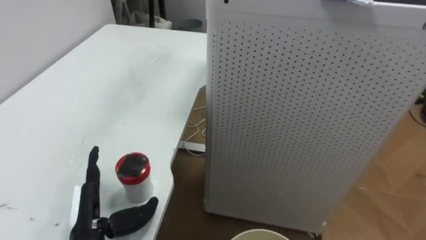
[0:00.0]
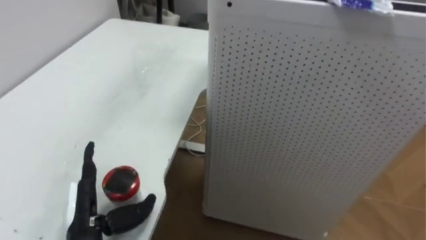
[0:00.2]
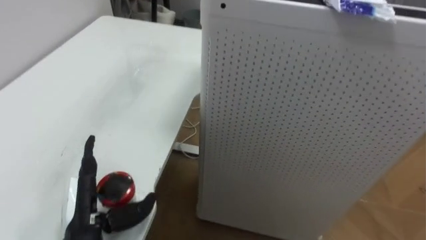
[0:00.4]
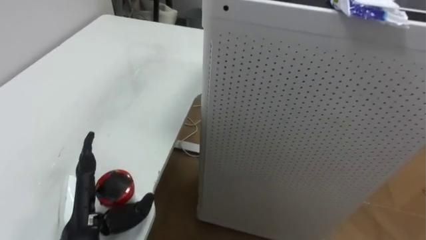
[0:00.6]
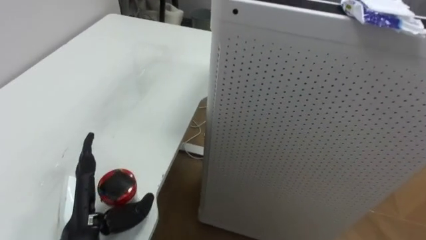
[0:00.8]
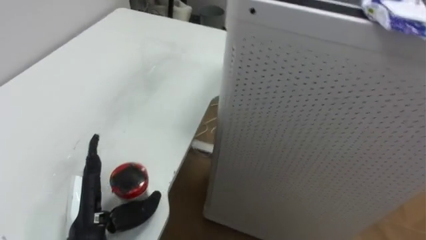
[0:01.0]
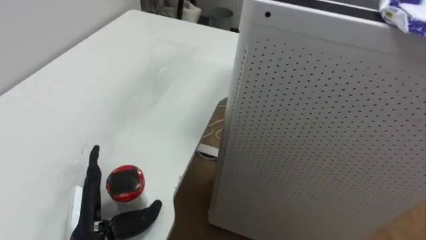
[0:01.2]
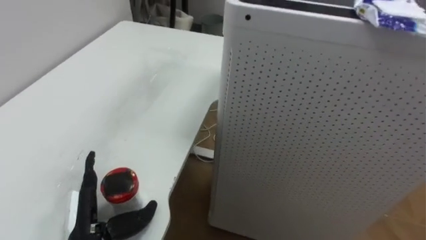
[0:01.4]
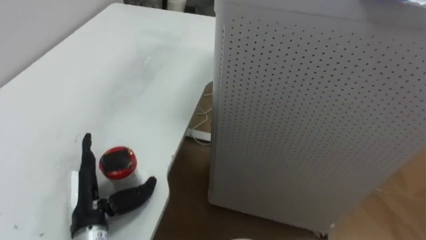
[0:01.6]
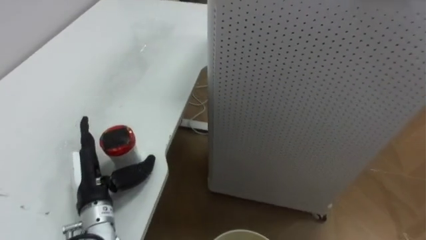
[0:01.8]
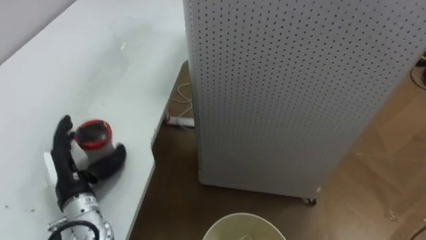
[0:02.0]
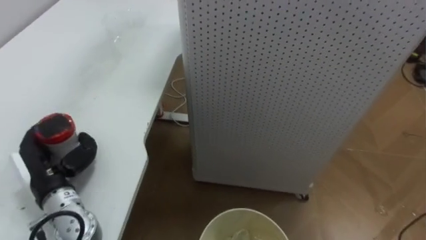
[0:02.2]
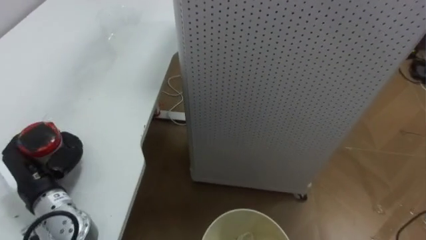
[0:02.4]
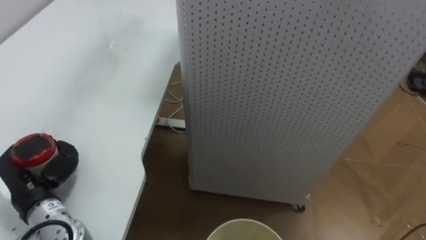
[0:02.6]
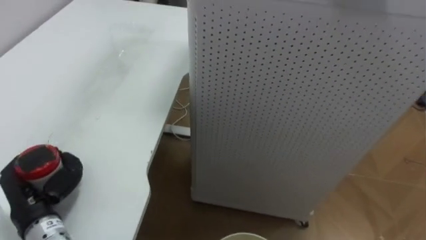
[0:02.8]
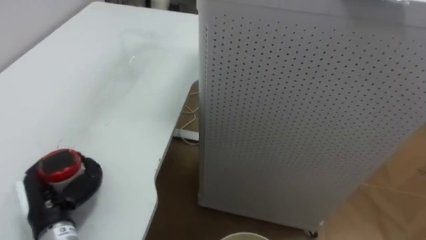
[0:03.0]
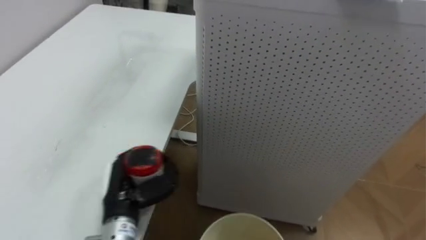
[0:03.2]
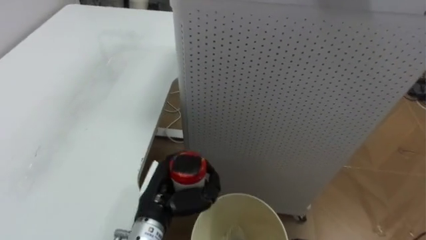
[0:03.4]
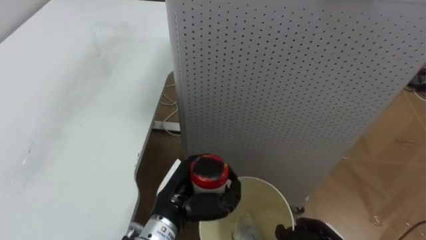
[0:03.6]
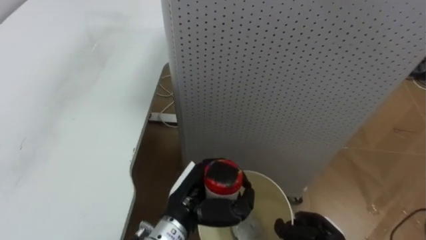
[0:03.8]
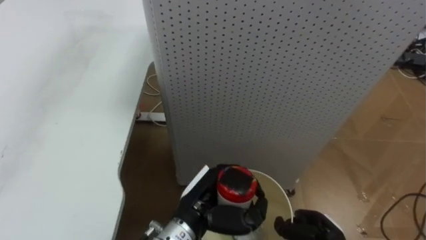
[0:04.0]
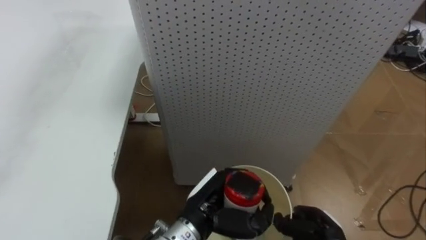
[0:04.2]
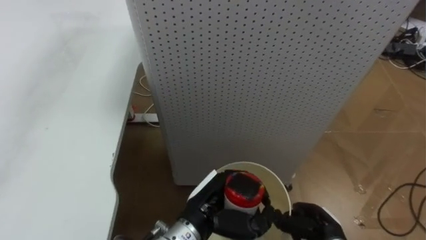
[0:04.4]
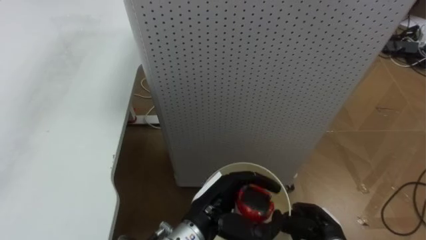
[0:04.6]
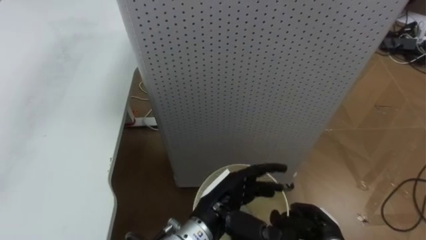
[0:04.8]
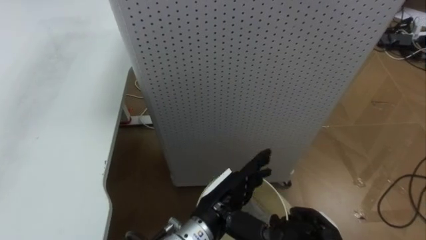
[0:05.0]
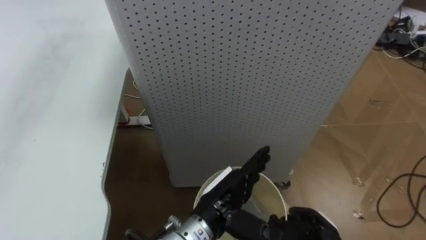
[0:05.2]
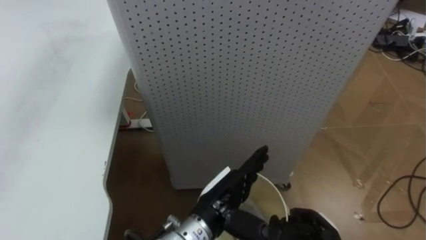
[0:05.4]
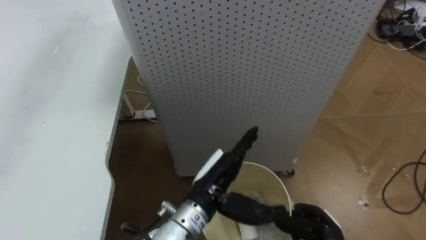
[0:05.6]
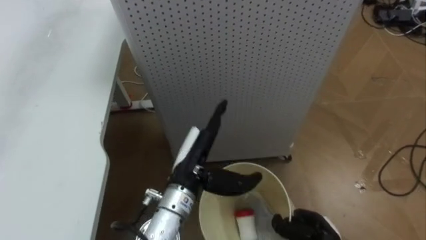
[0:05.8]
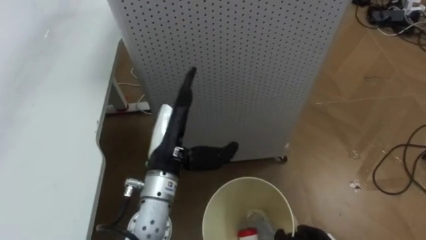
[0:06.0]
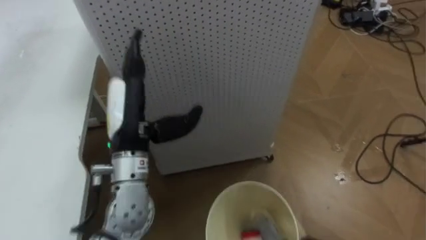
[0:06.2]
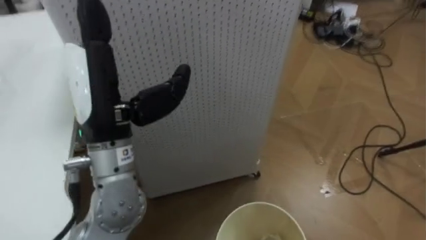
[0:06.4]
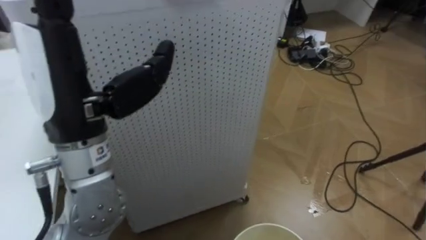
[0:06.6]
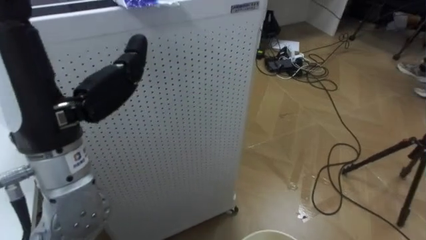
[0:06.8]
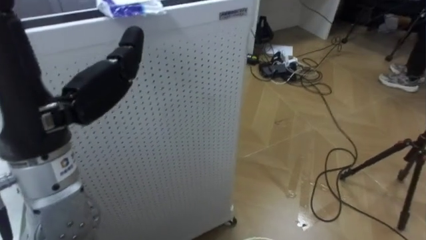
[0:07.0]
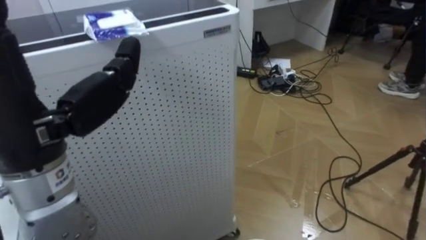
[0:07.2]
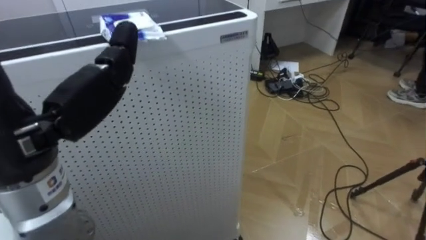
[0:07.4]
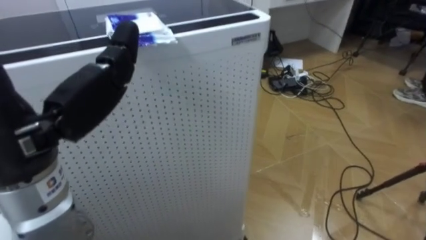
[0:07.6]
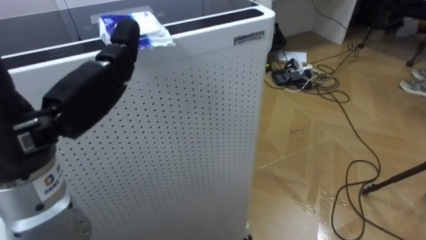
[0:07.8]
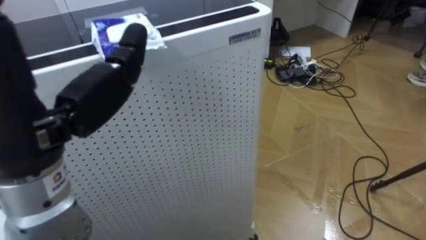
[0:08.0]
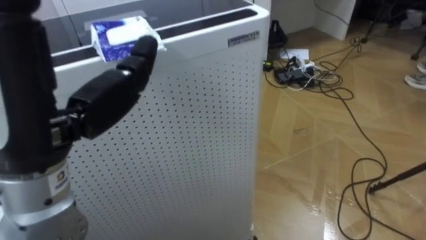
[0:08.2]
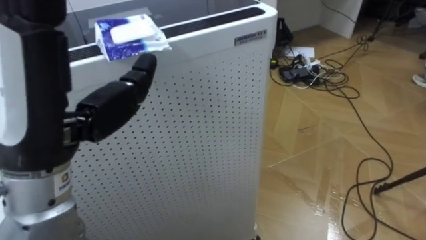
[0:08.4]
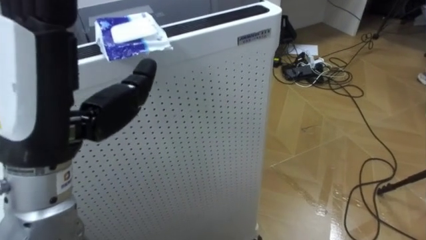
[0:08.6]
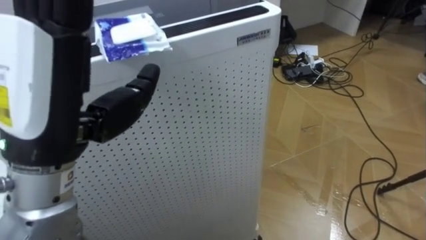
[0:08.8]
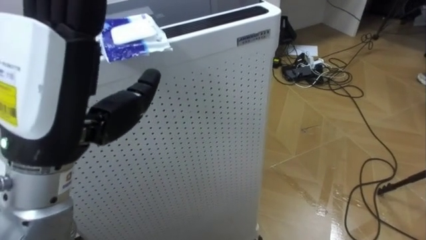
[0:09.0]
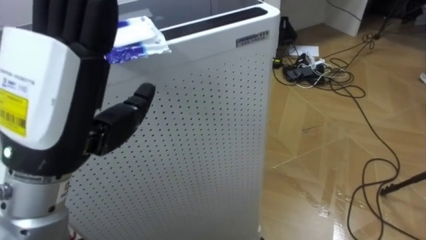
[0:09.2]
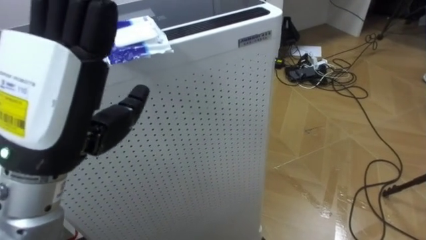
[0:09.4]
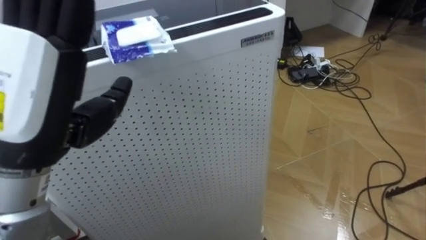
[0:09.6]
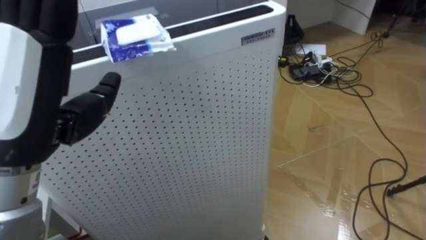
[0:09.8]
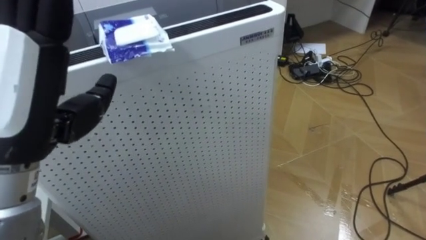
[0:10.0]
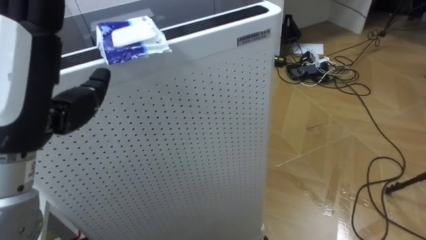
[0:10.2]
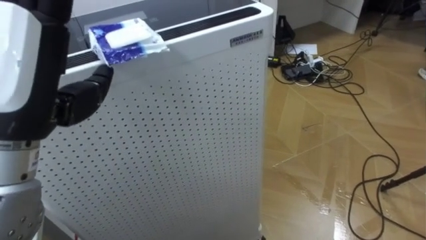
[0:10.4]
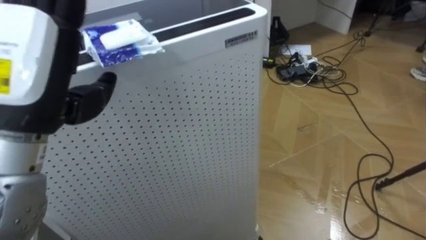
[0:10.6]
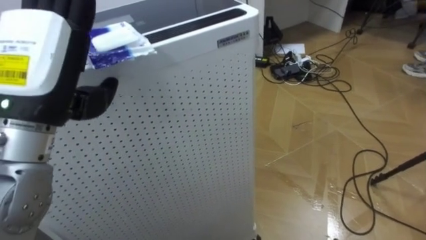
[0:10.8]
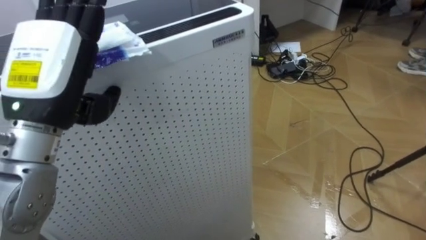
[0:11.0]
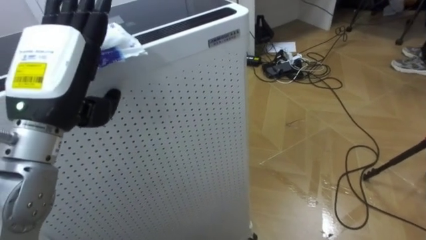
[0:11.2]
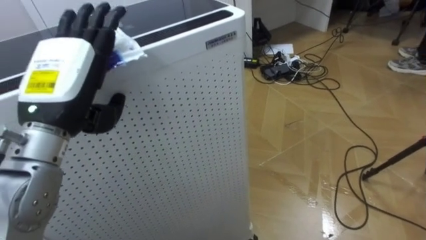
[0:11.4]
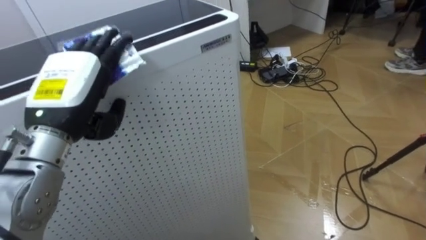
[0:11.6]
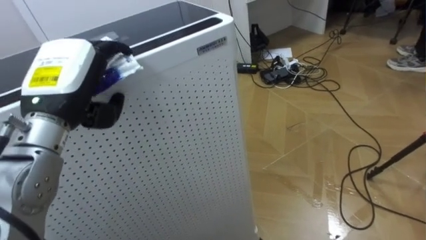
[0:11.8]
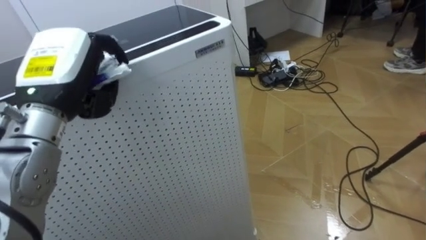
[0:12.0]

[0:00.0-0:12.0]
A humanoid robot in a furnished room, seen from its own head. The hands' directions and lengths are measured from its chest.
Task of the whole recording: Pick up the light blue package, the candy box, and the dark blue package separately, and put them into the trash can held in your right hand.
0:01.6 to 0:03.0: The left hand travels to the left by some 5 cm, and closes its fingers.
0:03.0 to 0:04.4: The left hand shifts about 30 cm to the right.
0:04.4 to 0:06.0: The left hand shifts some 10 cm upward, to the left and forward, and opens its fingers.
0:06.0 to 0:07.6: The robot's body swings roughly 20 degrees to its right. The left hand moves upward, backward and to the left, some 25 cm.
0:10.4 to 0:12.0: The left hand moves forward and downward, some 10 cm, and closes.

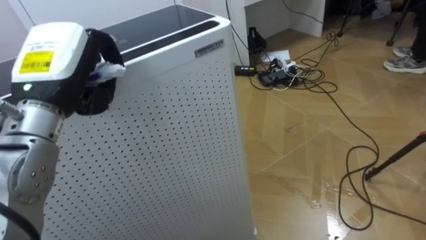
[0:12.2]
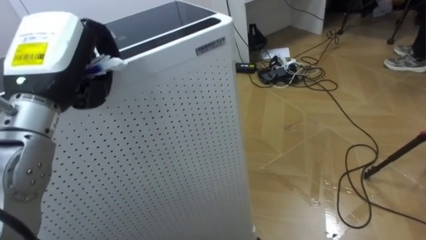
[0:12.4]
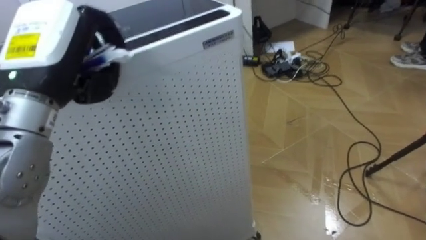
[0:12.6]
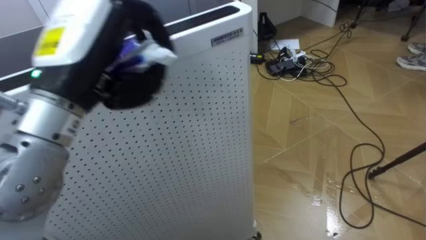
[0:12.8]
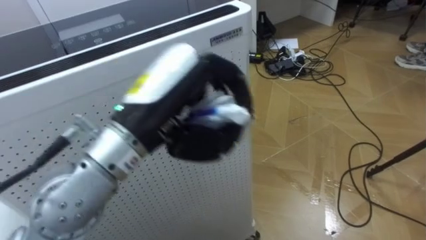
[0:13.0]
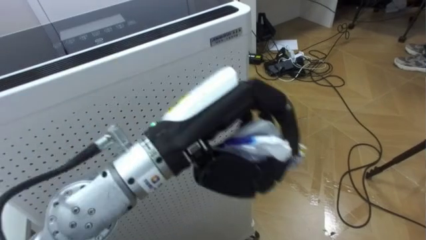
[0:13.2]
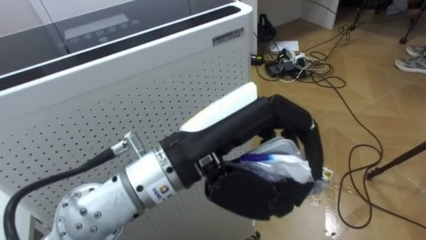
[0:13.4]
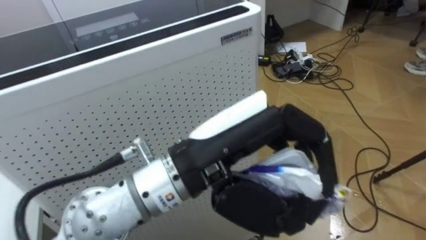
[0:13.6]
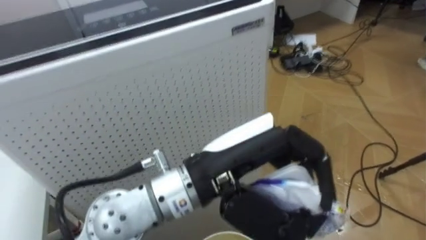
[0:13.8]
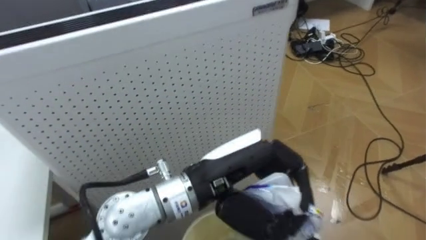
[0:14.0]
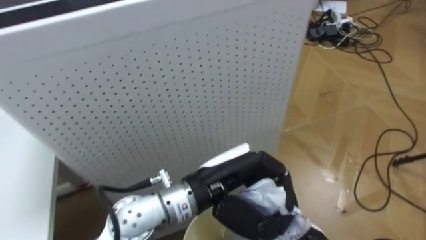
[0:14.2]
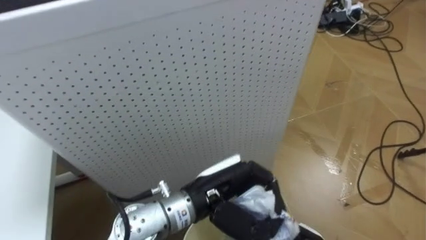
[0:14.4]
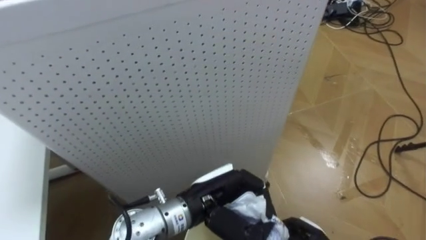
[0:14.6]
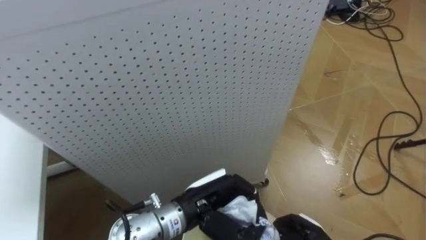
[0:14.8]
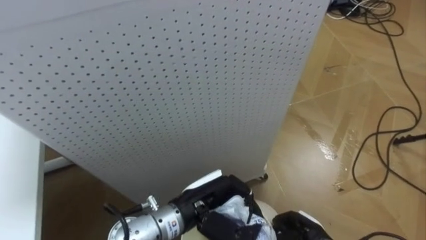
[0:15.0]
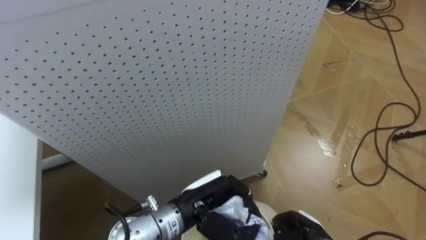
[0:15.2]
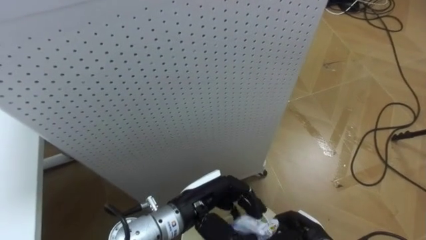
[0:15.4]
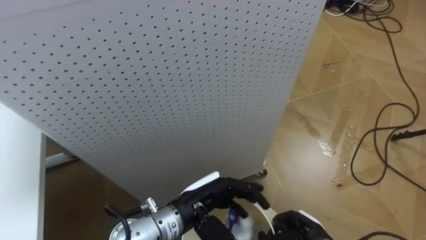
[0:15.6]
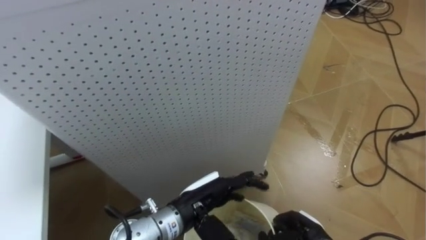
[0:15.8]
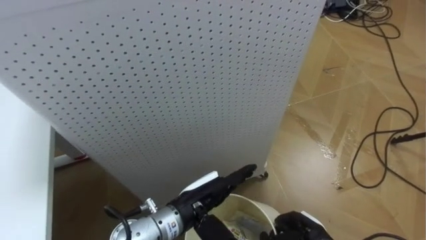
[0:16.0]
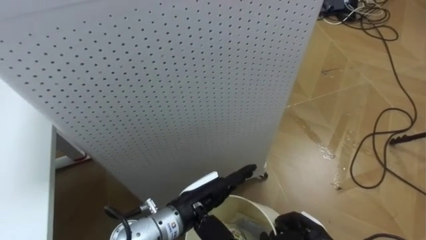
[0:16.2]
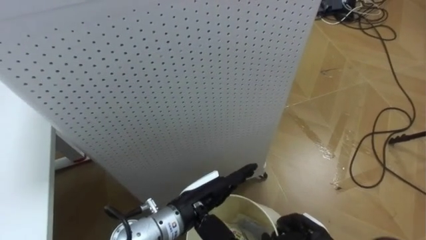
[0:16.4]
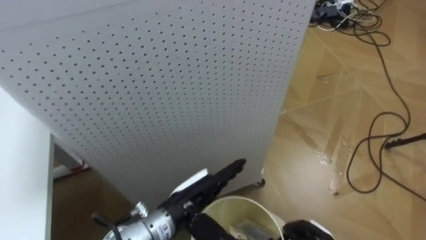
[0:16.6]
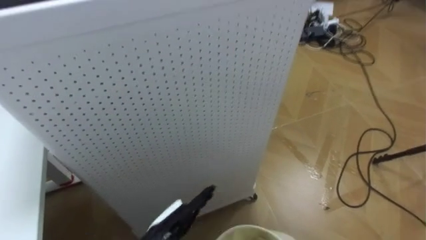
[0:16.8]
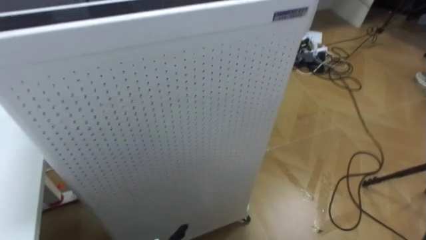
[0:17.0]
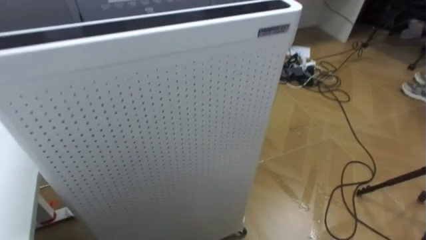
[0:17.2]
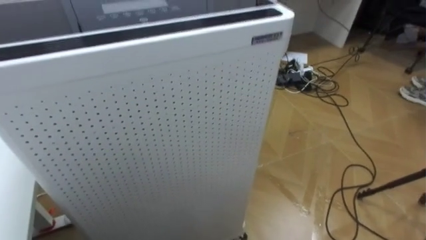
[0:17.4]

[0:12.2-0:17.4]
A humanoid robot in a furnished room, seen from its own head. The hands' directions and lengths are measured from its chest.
Task of the whole recording: Pick up the light blue package, the candy box, and the dark blue package separately, and put them into the trash can held in your right hand.
0:12.2 to 0:14.0: The left hand is displaced to the right by approximately 20 cm.
0:14.0 to 0:15.6: The left hand goes some 15 cm downward, and opens.
